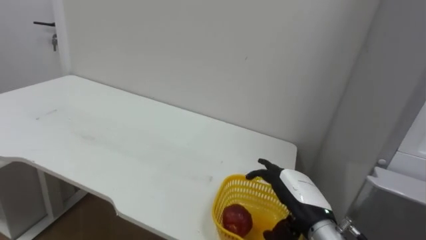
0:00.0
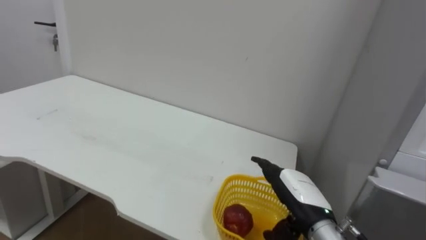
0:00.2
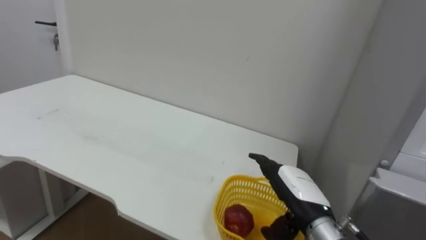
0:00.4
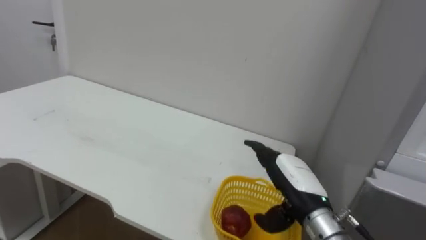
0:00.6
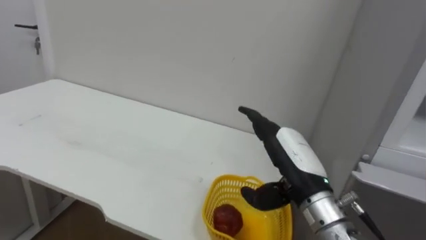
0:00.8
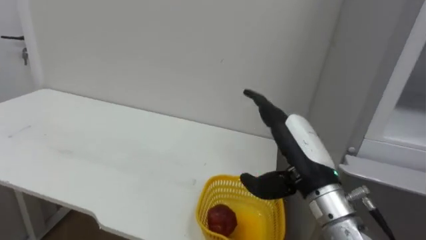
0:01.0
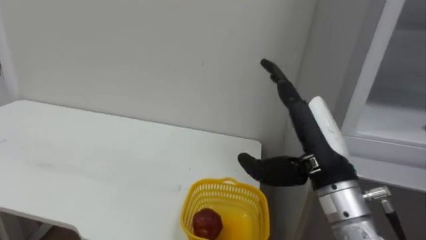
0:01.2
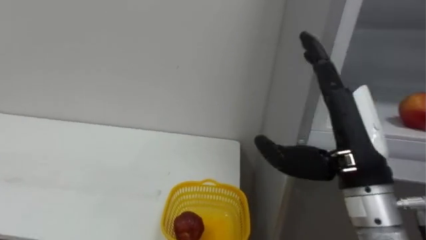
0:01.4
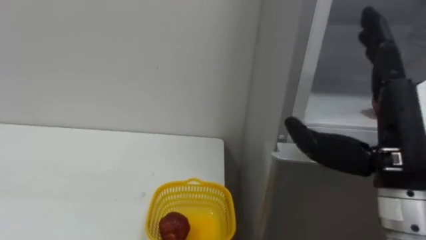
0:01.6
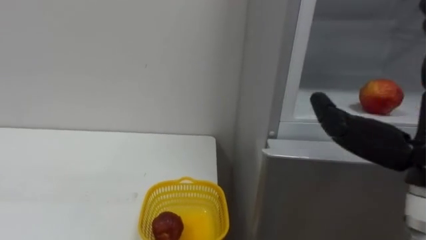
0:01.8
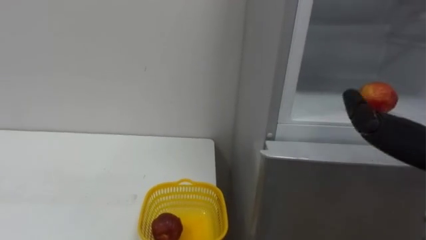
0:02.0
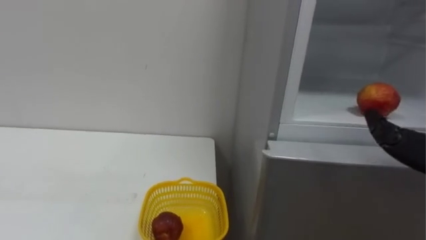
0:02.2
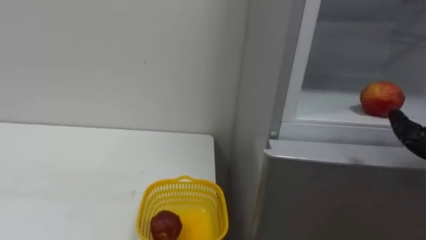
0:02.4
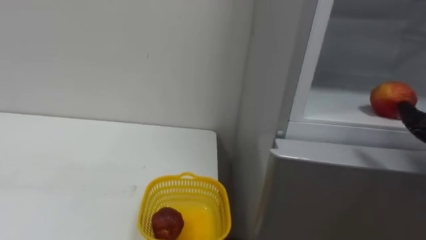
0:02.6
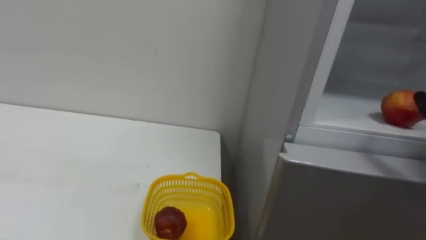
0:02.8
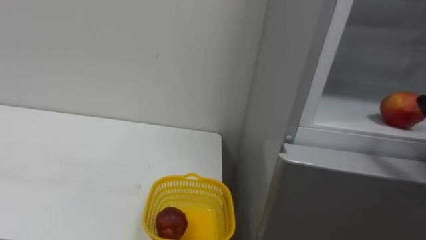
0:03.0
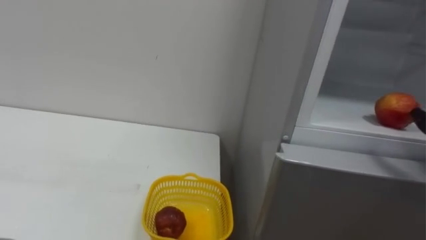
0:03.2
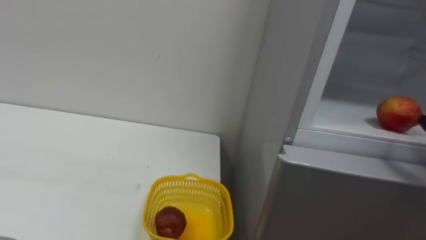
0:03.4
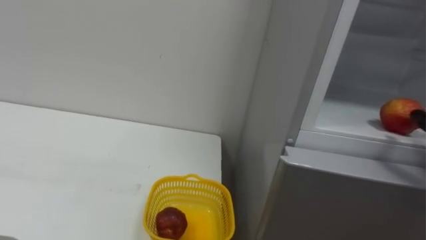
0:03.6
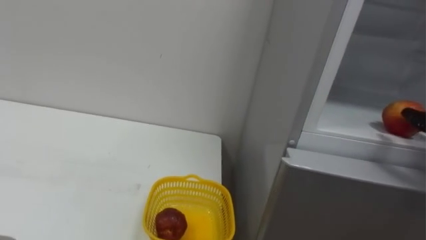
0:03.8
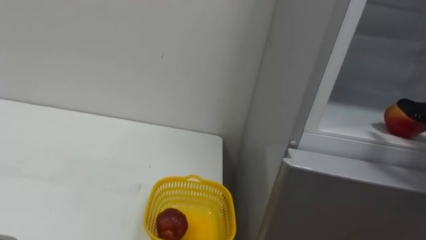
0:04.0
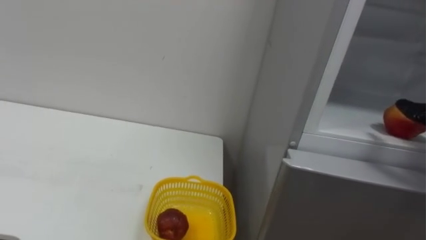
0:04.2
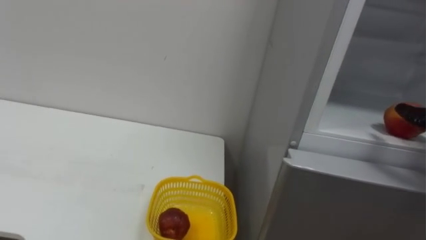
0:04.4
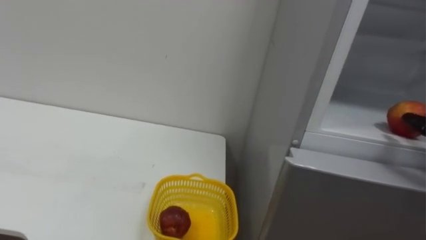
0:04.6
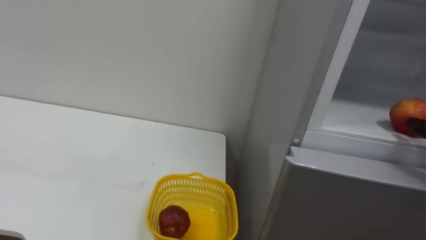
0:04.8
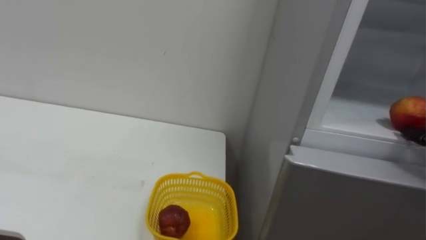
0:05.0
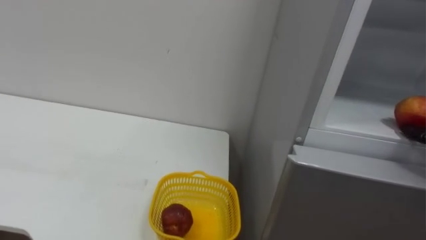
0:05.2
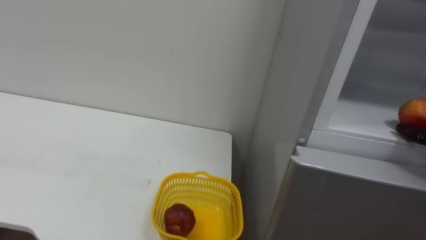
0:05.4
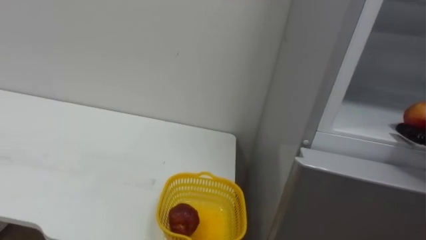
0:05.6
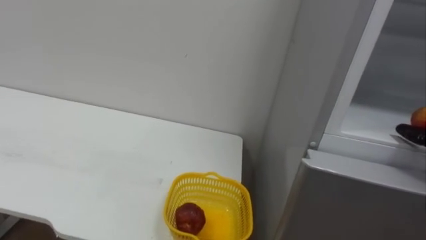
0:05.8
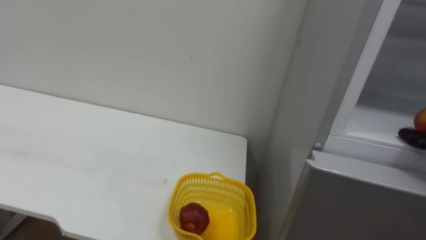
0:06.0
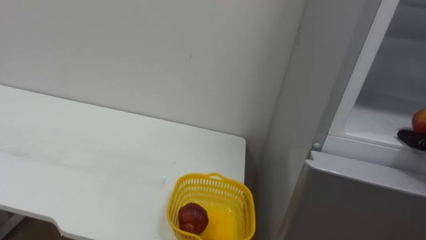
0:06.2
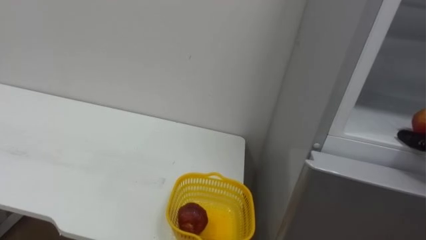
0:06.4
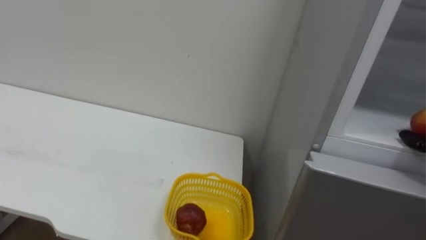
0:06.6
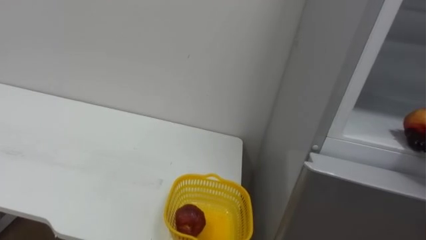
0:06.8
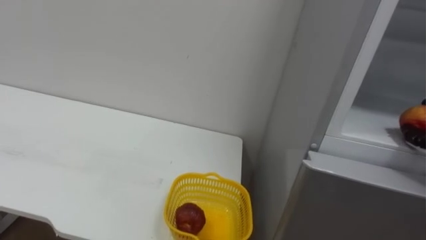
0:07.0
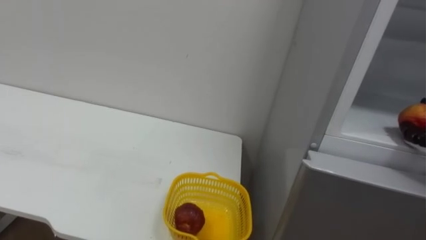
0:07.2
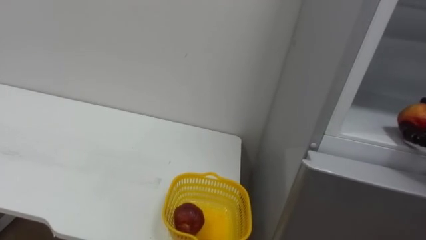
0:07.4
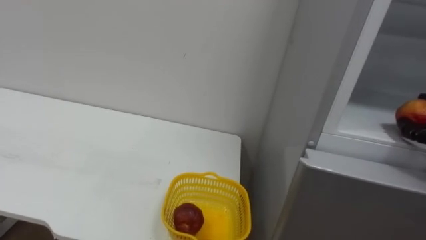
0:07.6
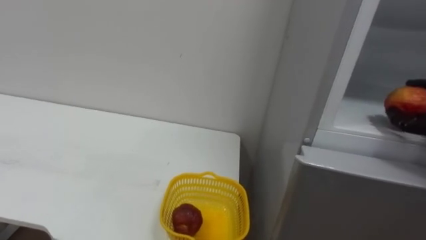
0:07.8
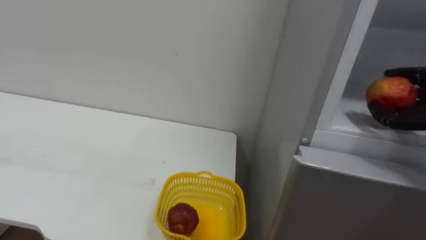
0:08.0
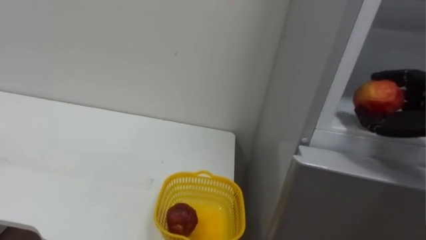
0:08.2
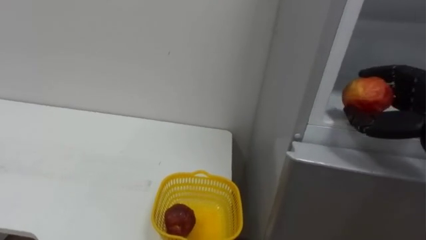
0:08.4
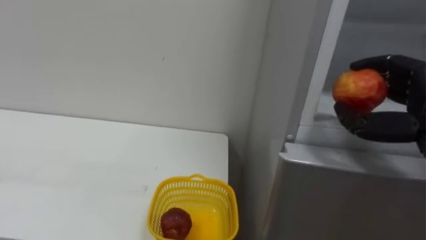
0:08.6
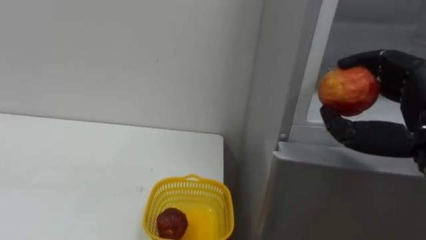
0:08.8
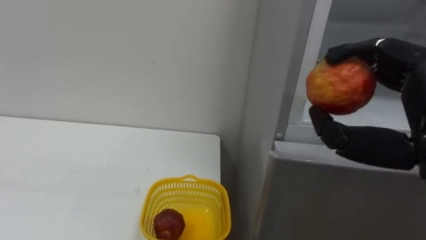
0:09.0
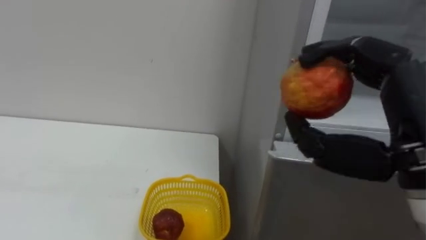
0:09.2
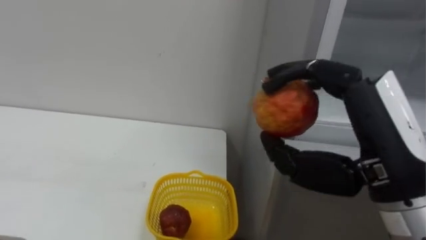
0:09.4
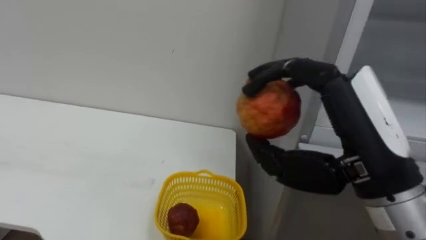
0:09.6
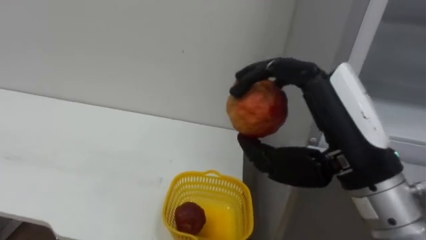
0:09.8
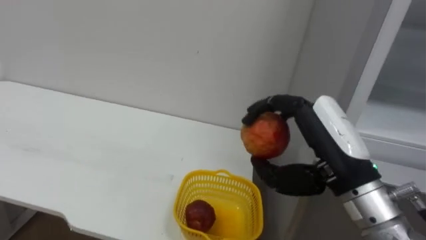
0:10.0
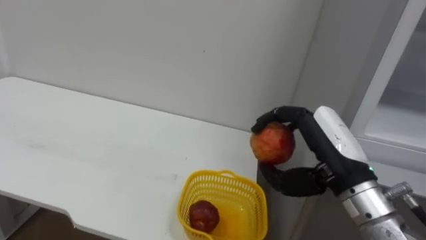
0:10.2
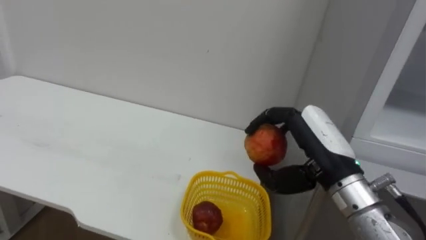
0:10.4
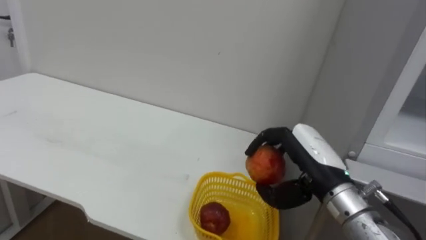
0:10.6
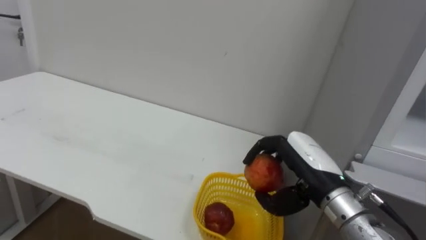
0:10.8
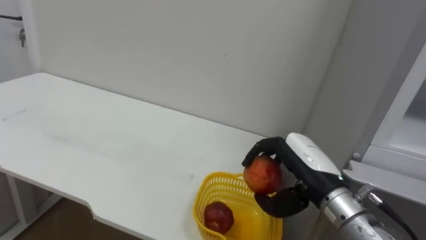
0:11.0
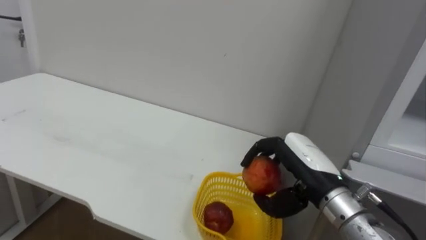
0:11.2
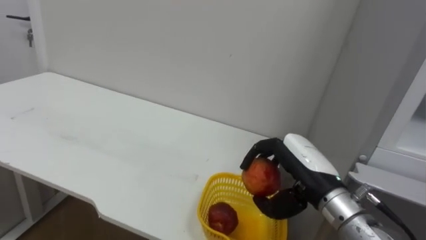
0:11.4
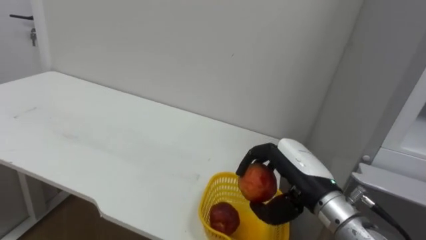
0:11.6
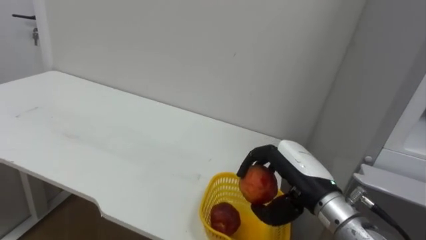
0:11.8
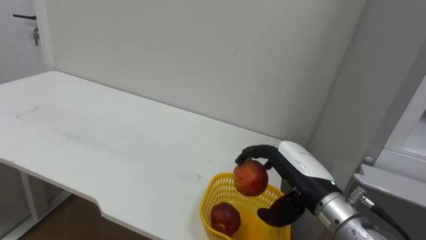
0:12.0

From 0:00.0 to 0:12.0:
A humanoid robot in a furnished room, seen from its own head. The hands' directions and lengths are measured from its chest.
Task of the whole recording: Open the refrigerator door, take out the apple and the pomegranate, place them in the fruit basket on the left, and close the refrigerator door.
From 0:00.0 to 0:01.6: The right hand goes approximately 20 cm upward and backward.
From 0:09.0 to 0:10.4: The right hand moves to the left, downward and forward, roughly 15 cm.
From 0:10.4 to 0:12.0: The right hand goes some 5 cm downward.

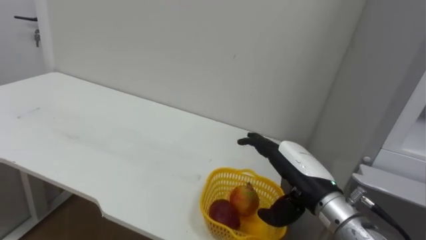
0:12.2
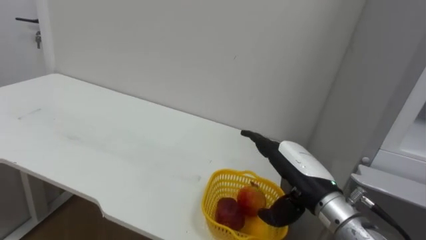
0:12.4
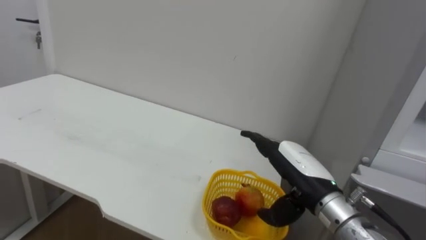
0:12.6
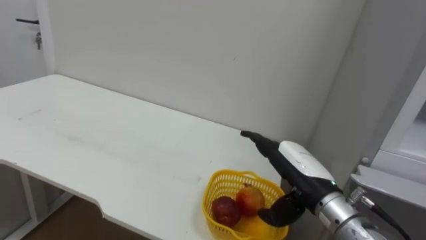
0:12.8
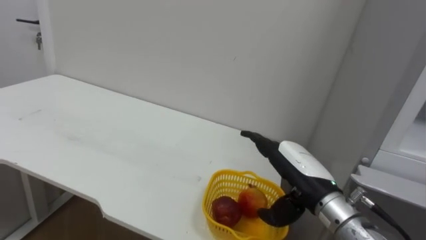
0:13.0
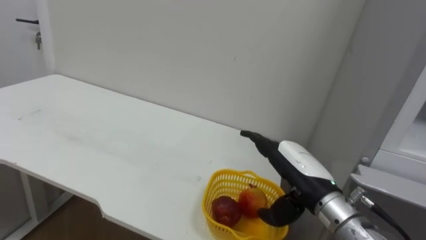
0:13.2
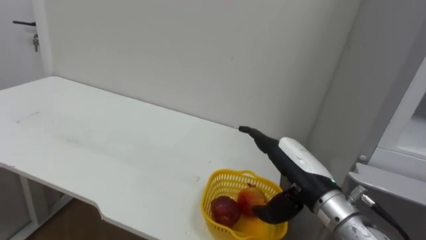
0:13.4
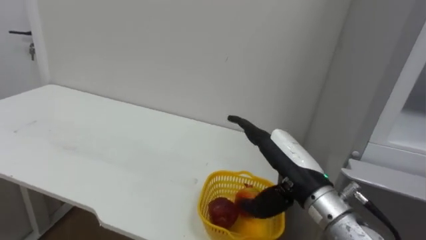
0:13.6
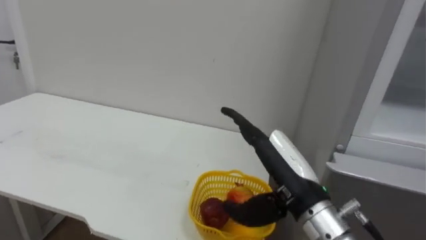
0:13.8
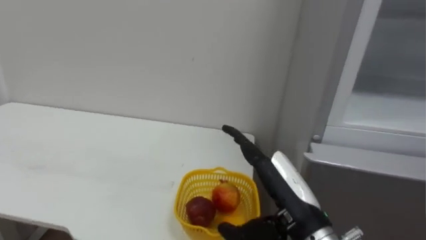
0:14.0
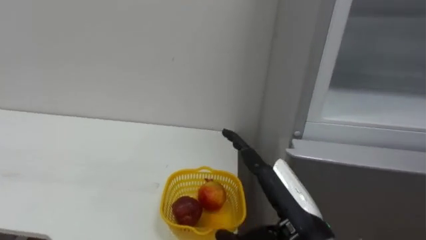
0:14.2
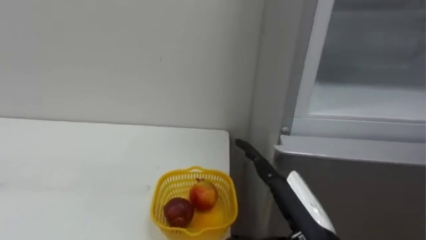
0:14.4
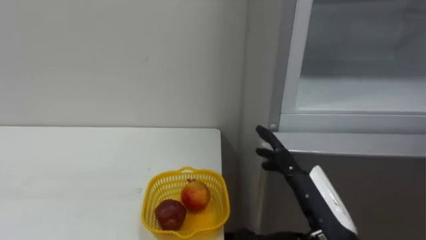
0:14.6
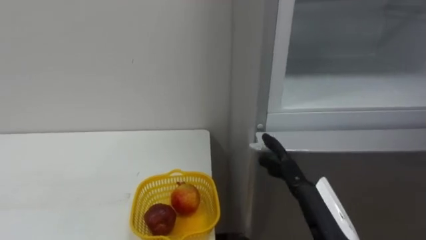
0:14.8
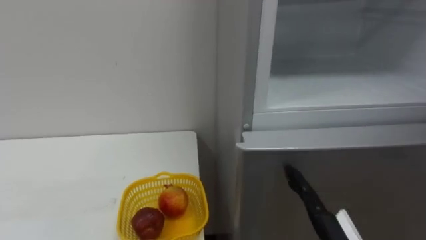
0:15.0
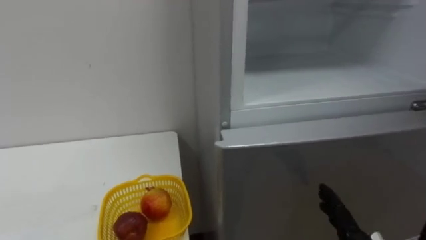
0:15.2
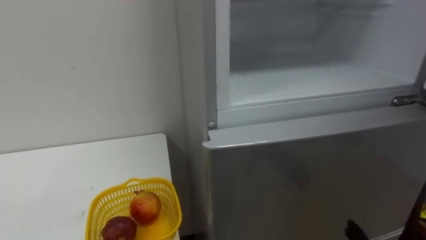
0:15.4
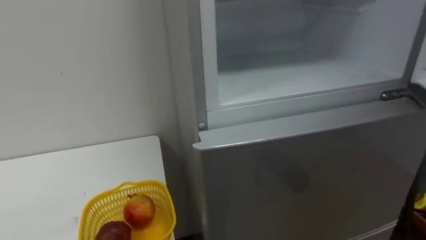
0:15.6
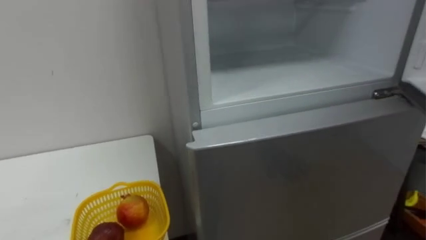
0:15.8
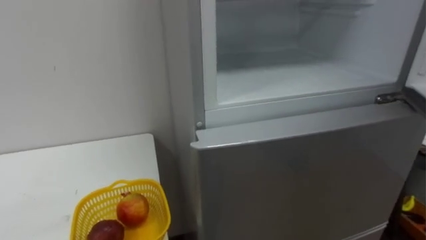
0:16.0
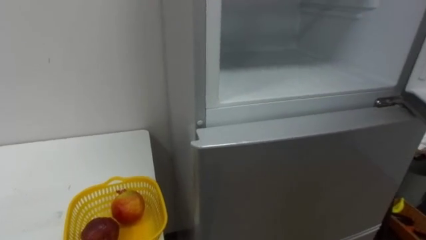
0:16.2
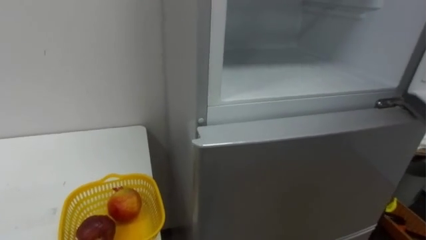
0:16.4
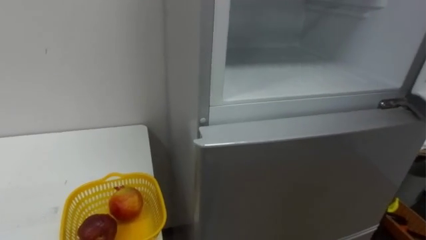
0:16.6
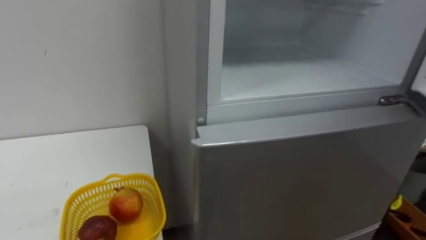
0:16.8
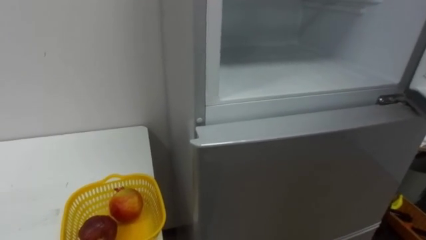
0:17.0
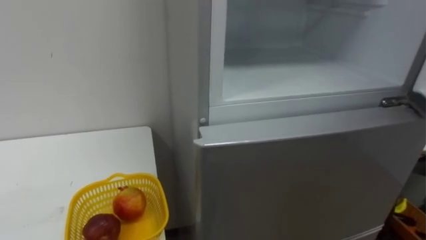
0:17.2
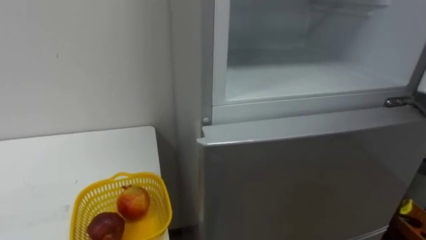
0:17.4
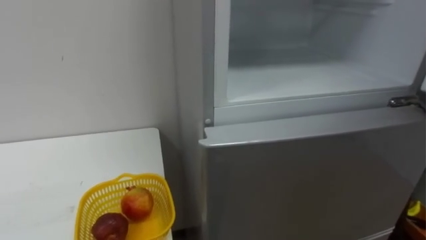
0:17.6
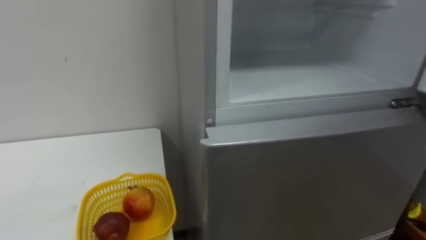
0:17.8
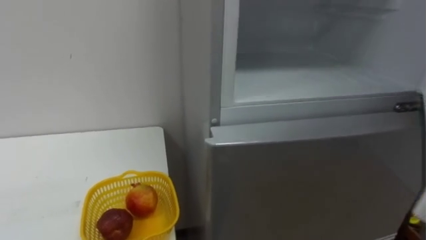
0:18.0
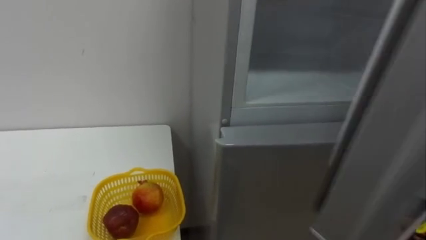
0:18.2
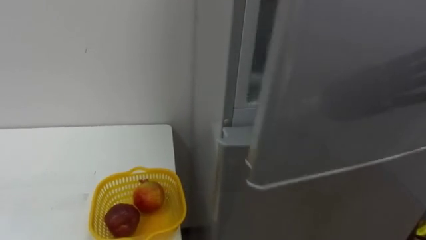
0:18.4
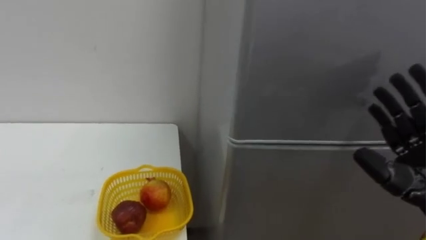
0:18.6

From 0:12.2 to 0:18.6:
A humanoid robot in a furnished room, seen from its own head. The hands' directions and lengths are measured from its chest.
Task of the whole recording: Open the refrigerator door, take out the apple and the pomegranate, place them in the fruit basket on the left, and close the refrigerator door.
From 0:12.2 to 0:13.8: The right hand shifts by about 5 cm.
